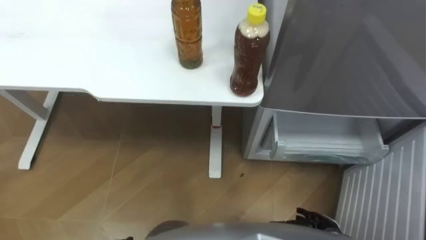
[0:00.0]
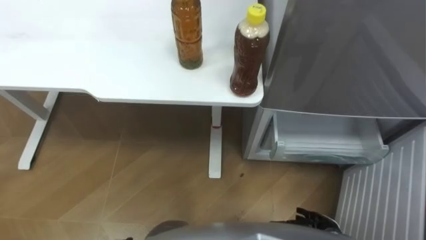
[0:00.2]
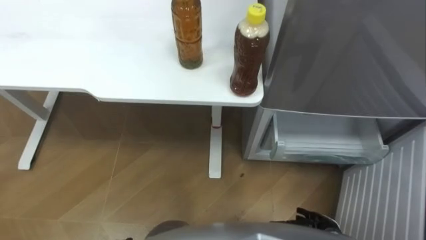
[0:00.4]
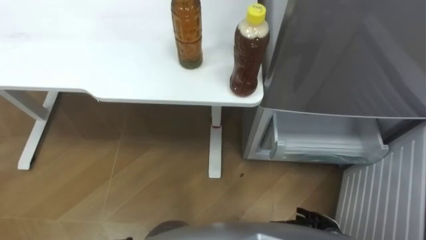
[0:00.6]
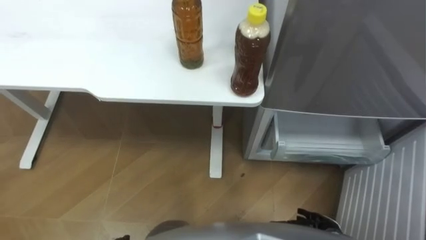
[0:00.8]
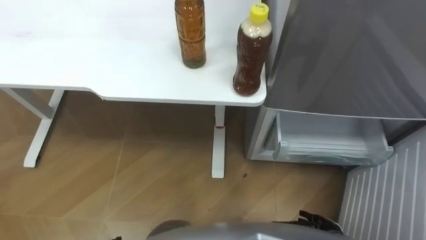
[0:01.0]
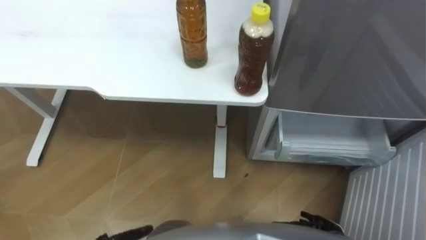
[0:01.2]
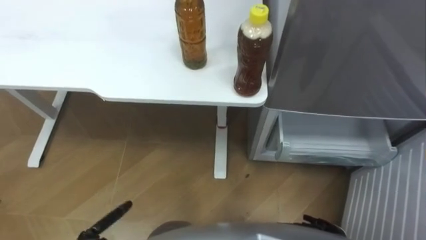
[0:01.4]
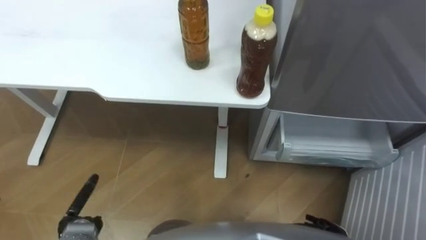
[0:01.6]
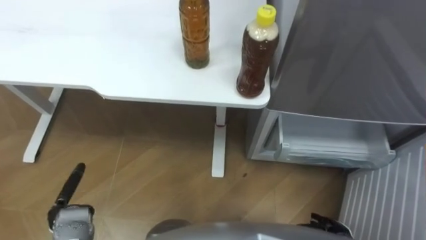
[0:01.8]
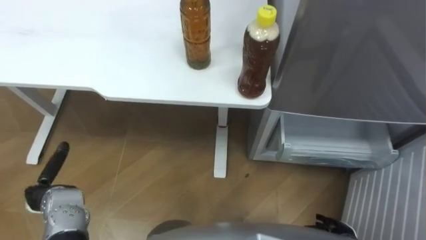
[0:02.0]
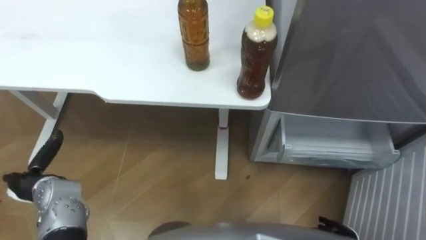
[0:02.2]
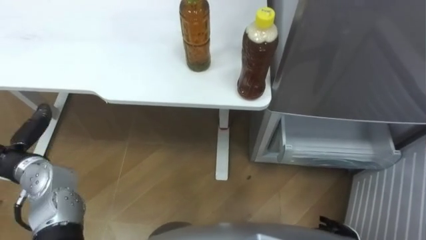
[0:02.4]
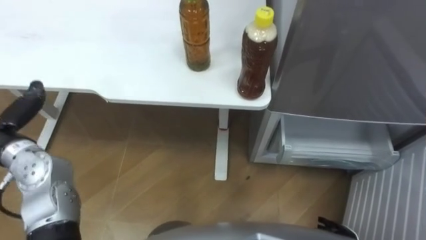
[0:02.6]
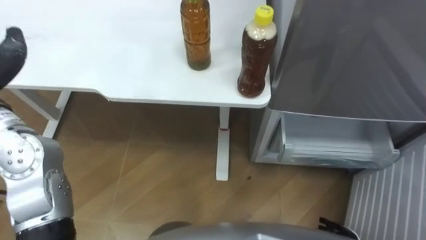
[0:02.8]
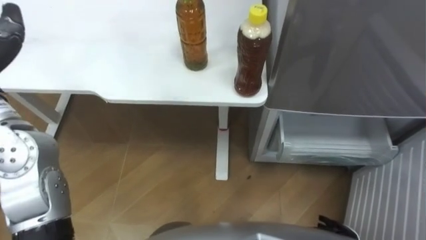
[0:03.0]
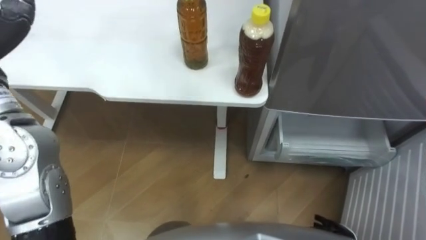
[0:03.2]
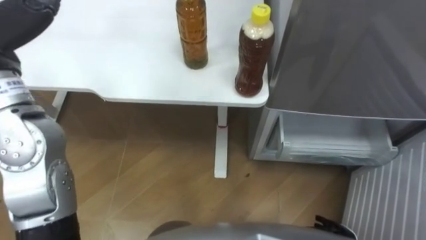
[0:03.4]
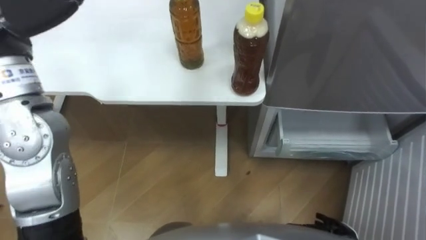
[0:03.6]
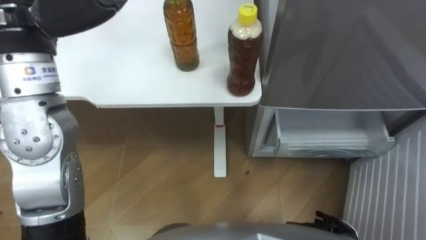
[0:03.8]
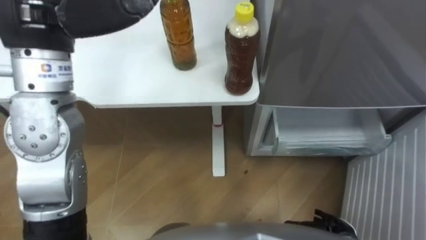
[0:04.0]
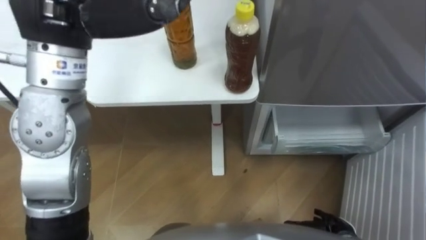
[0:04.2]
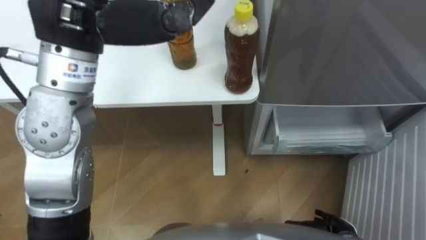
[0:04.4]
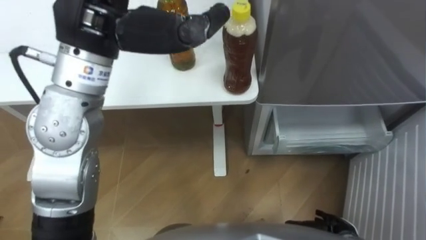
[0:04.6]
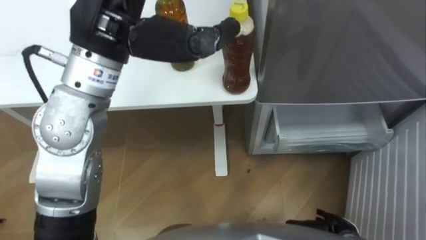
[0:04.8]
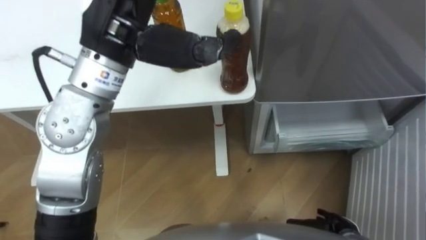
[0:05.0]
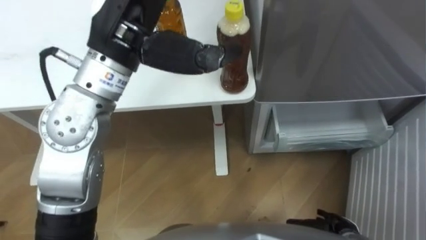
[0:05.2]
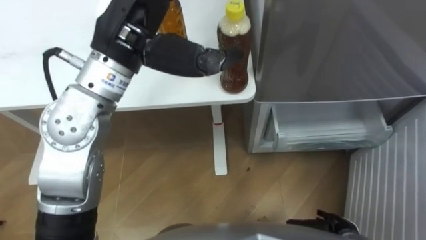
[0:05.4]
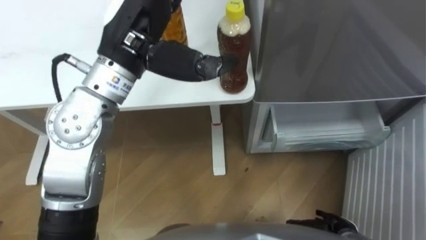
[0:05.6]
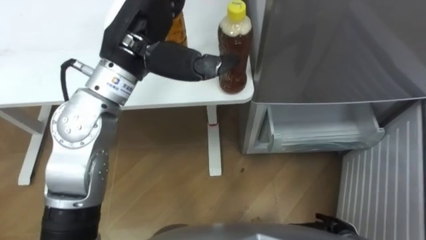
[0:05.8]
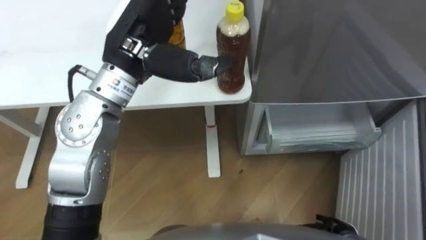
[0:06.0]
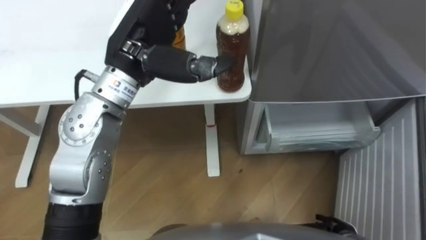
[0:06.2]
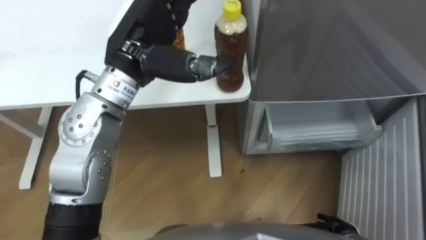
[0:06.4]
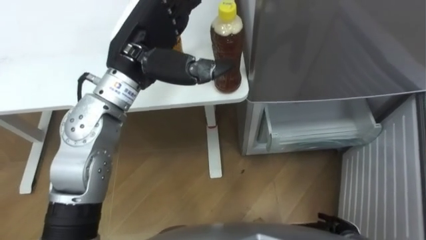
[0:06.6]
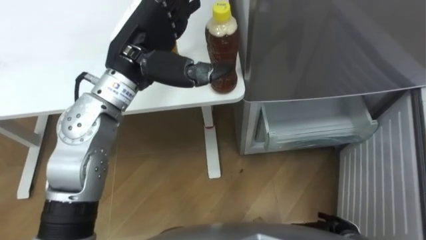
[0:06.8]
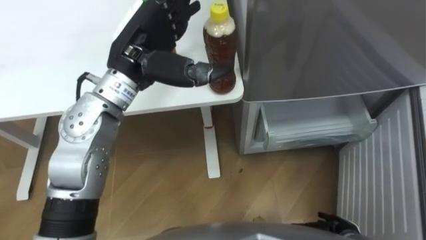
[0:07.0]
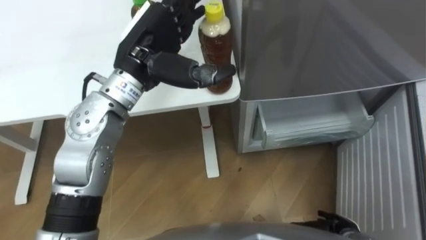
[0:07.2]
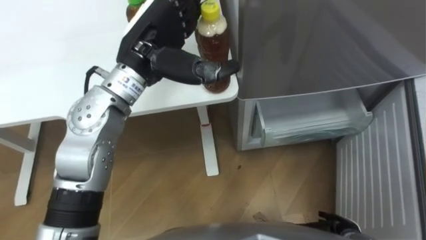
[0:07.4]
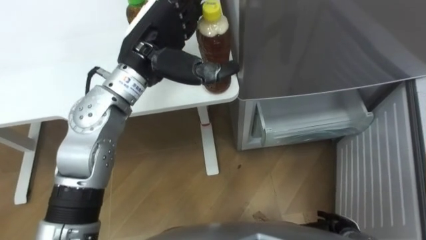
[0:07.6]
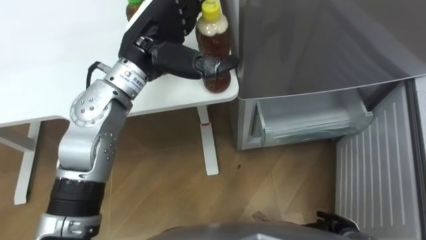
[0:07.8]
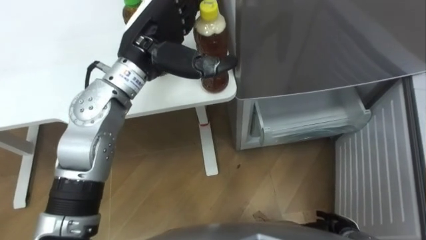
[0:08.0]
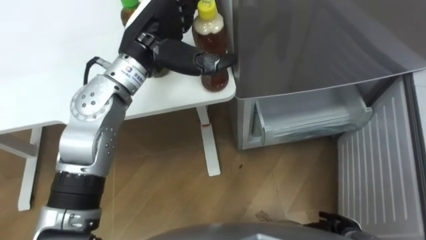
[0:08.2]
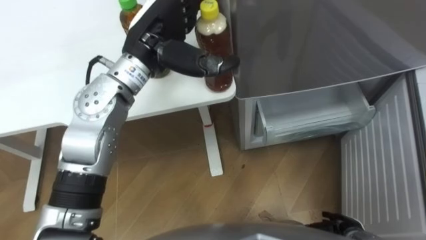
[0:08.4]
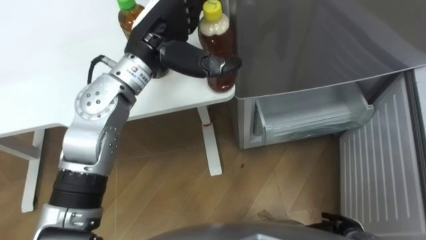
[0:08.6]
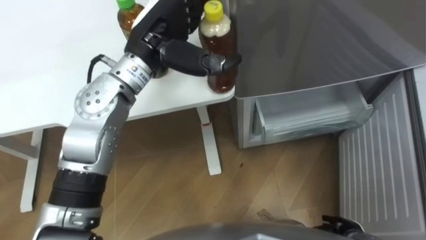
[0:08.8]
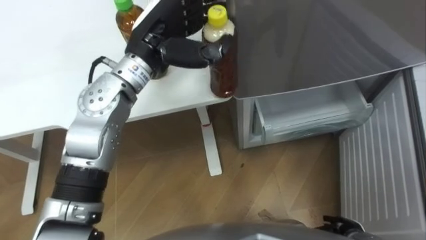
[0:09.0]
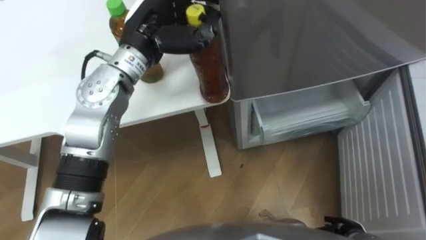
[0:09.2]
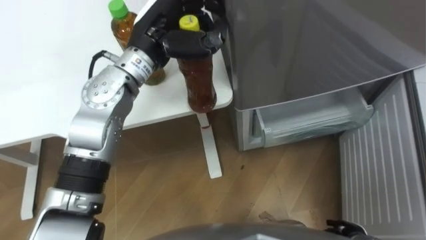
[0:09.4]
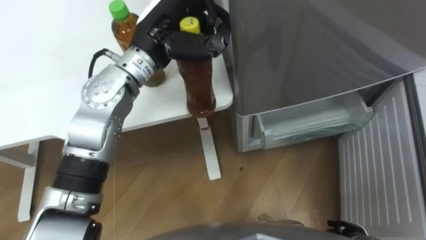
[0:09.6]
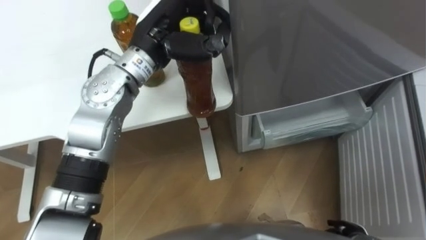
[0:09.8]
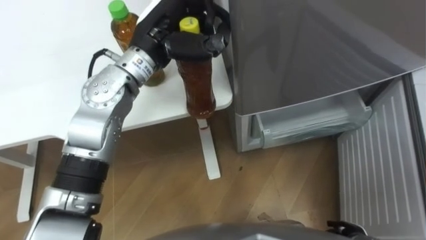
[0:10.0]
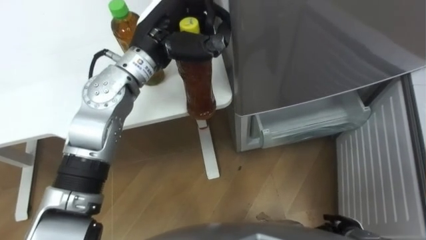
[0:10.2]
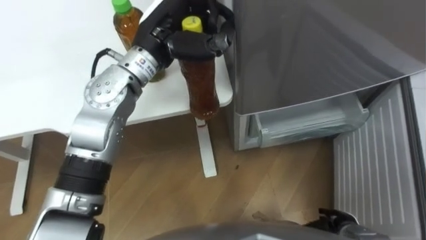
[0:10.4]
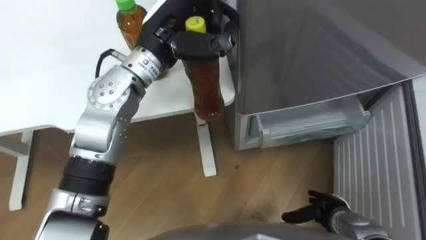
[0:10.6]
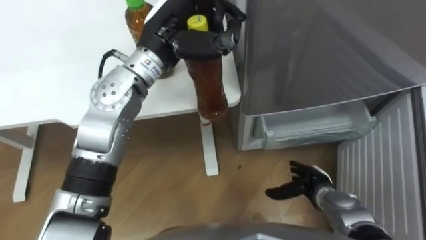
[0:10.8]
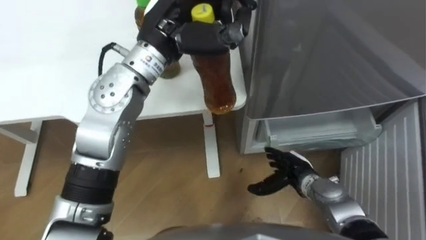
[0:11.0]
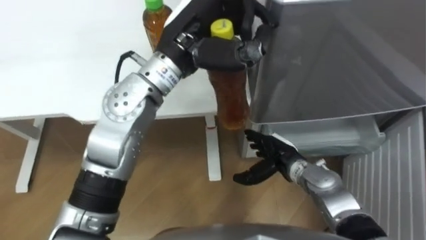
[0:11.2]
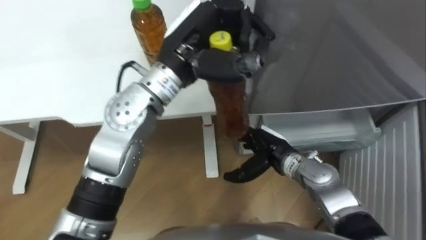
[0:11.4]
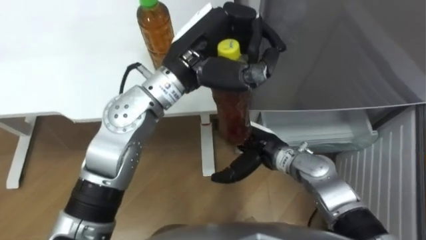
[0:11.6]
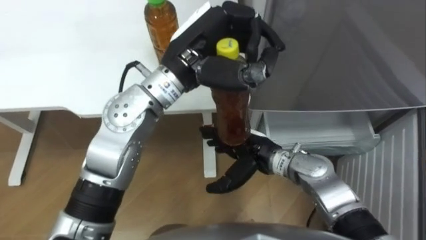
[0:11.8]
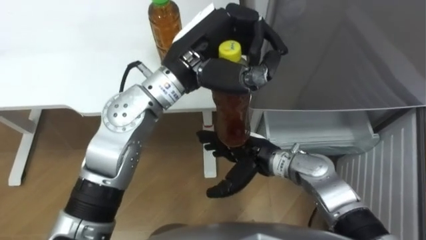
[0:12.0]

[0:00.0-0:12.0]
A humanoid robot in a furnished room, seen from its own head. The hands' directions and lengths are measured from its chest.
Task of the whole recording: Place the drink on the table on the bottom shelf of the refrigerator, then close the drawer and the refrigerator door.
0:04.4 to 0:06.0: The left hand shifts approximately 10 cm downward.
0:09.0 to 0:10.4: The left hand closes its fingers.
0:10.4 to 0:12.0: The left hand is displaced to the right and backward by roughly 10 cm, while the right hand travels to the left, upward and forward by about 30 cm.

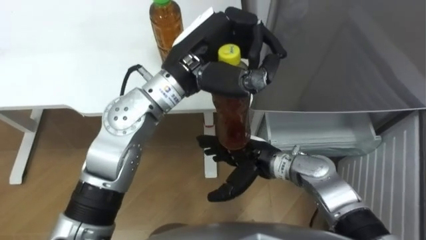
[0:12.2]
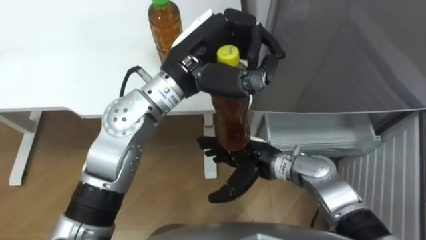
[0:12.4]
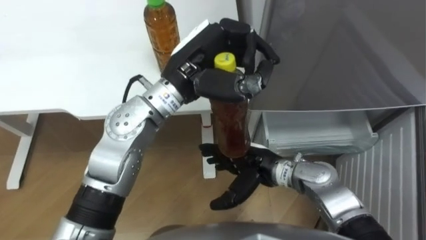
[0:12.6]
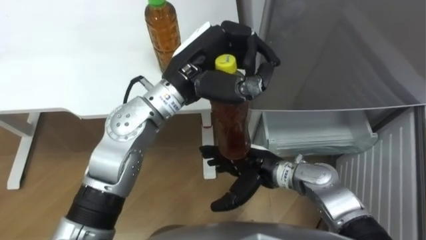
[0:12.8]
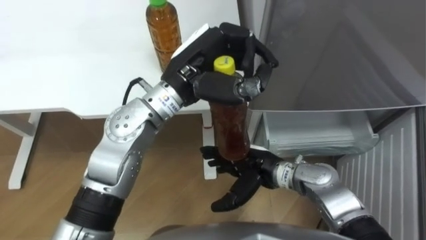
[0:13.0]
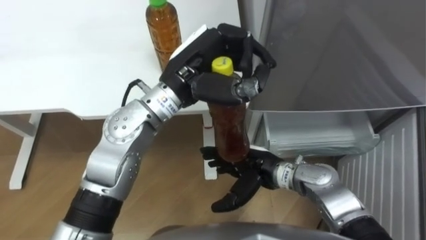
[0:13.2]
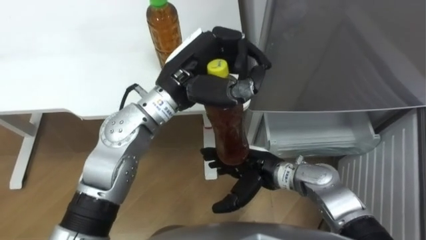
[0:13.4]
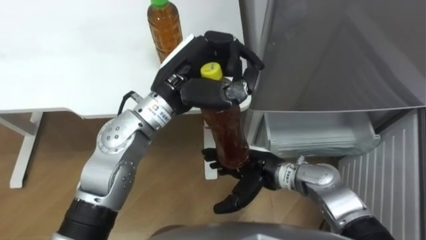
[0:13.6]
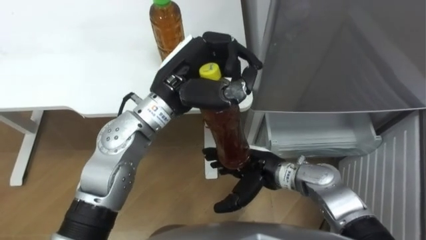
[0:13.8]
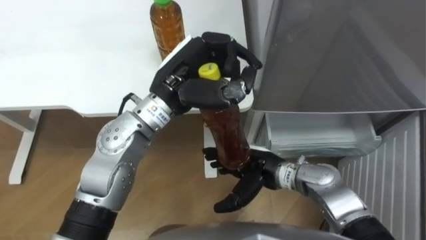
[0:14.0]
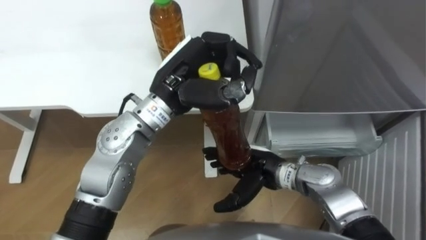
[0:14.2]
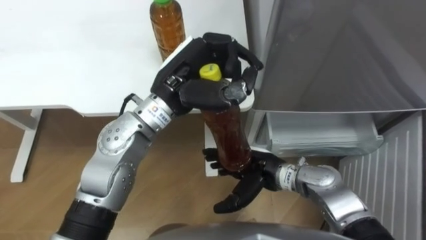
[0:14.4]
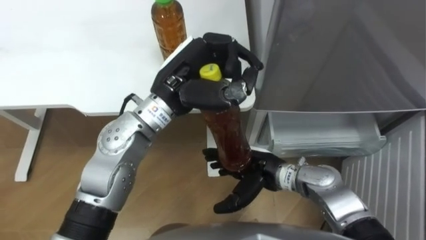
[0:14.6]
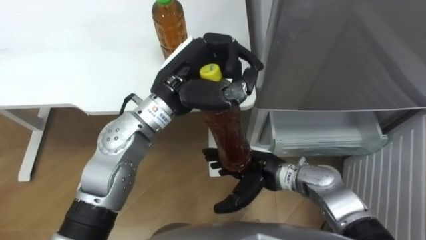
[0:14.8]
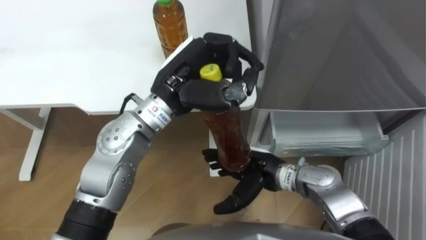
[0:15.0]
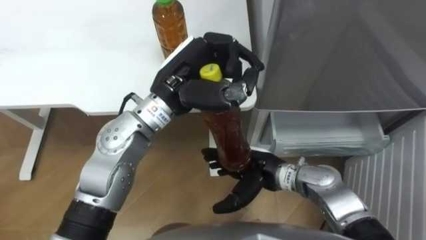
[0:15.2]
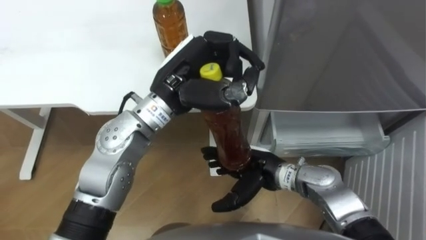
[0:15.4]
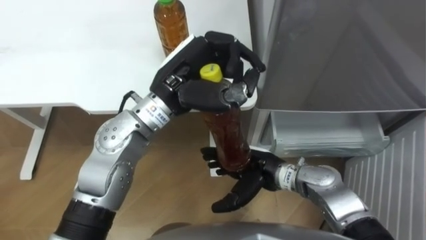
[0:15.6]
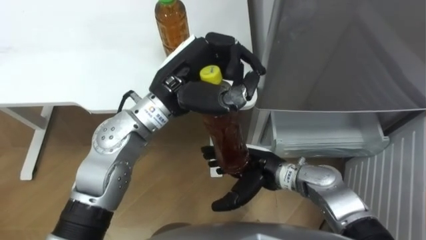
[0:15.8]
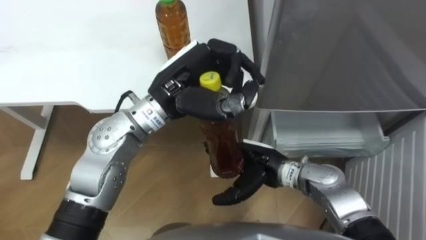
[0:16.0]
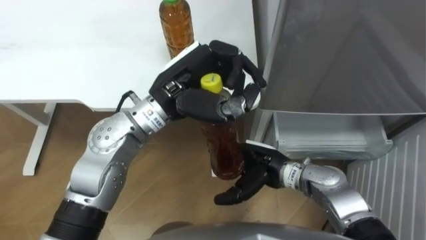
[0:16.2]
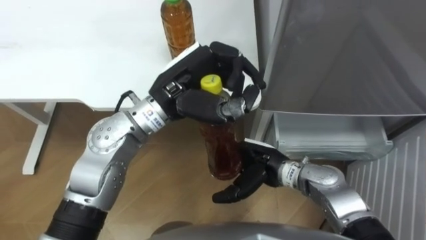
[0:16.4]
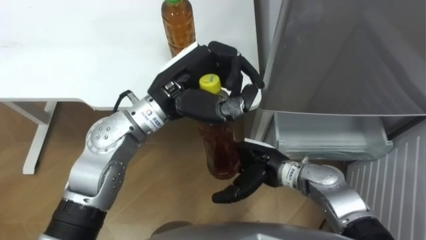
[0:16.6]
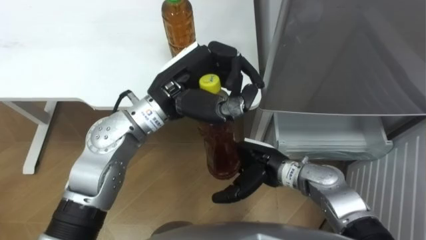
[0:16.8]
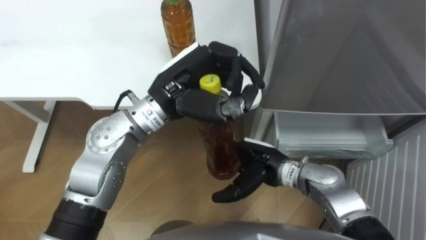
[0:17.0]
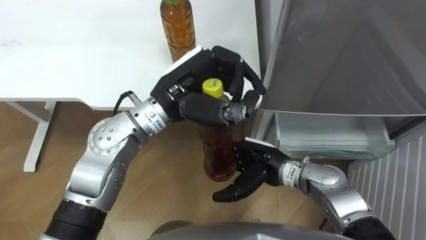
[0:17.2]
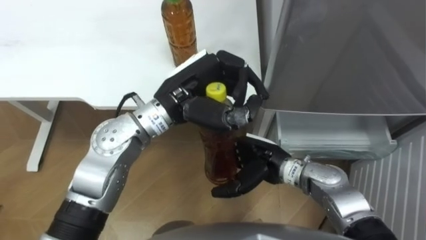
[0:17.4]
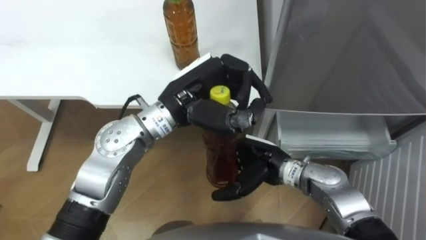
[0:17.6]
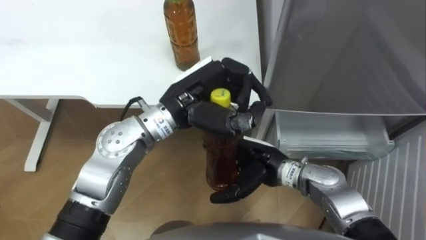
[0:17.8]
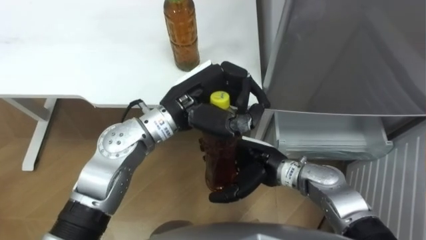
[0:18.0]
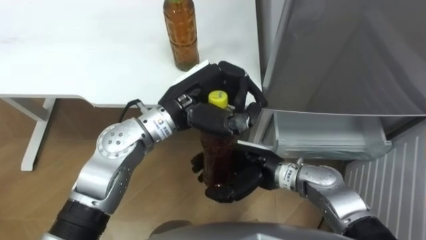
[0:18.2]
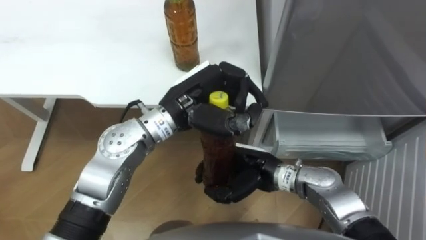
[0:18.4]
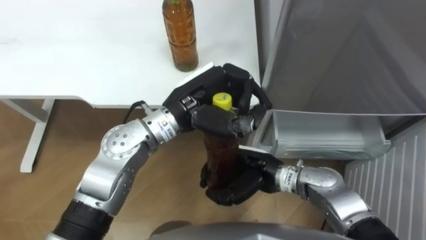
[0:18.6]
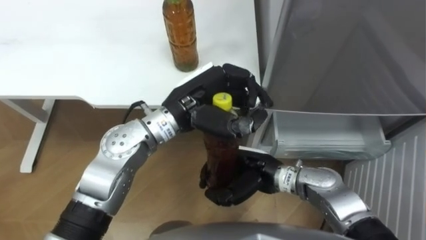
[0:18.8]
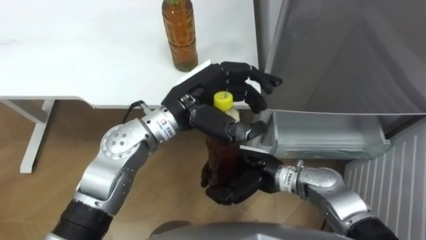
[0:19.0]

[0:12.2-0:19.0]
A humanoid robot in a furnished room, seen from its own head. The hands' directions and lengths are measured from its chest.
Task of the whole recording: Place the drink on the table on the bottom shelf of the refrigerator, then close the drawer and the refrigerator door.
0:13.6 to 0:15.0: Neither hand changes place.
0:16.2 to 0:17.6: The hands move only a little.
0:17.6 to 0:19.0: The right hand closes its fingers; the left hand opens.
